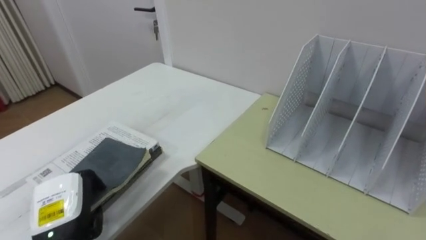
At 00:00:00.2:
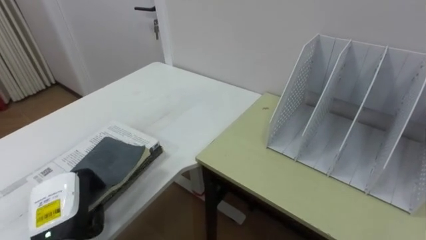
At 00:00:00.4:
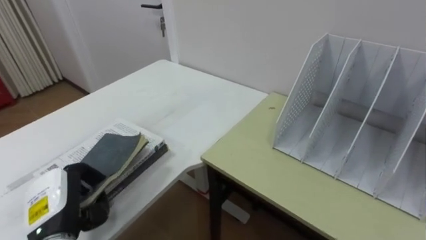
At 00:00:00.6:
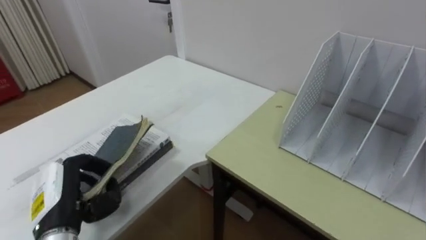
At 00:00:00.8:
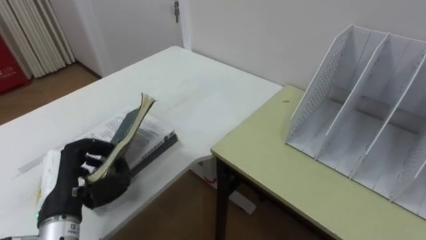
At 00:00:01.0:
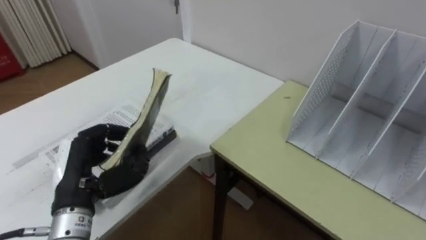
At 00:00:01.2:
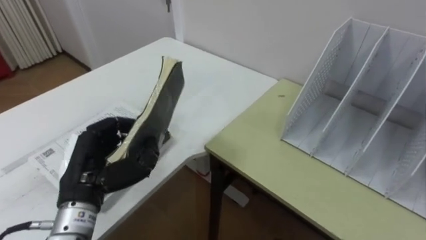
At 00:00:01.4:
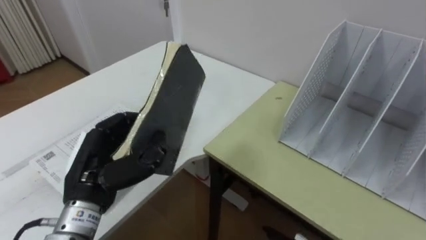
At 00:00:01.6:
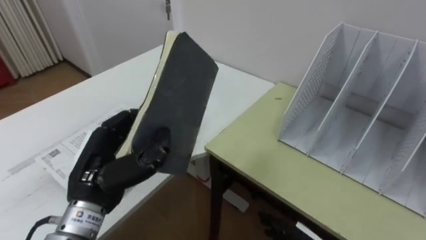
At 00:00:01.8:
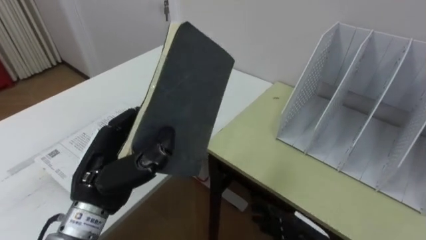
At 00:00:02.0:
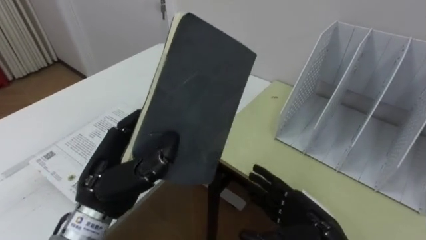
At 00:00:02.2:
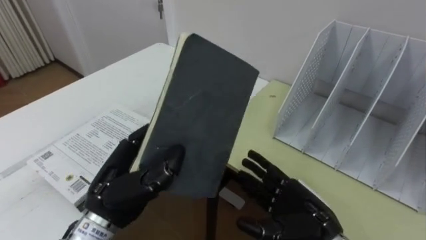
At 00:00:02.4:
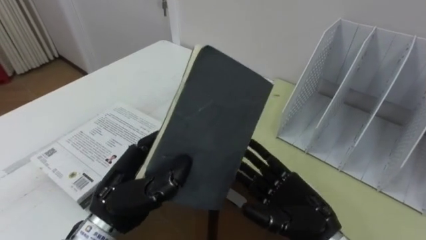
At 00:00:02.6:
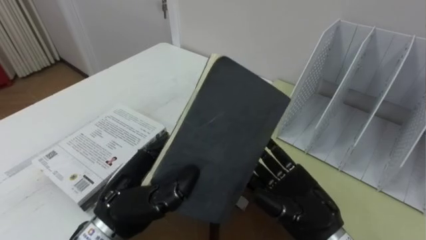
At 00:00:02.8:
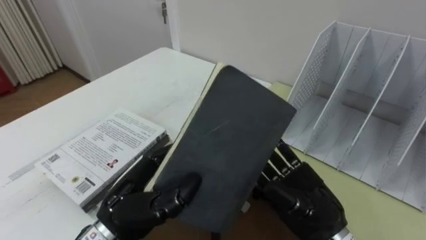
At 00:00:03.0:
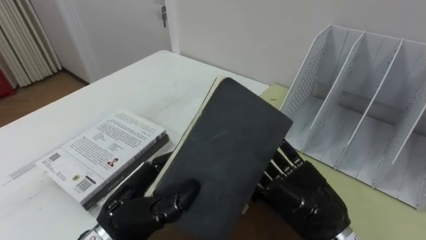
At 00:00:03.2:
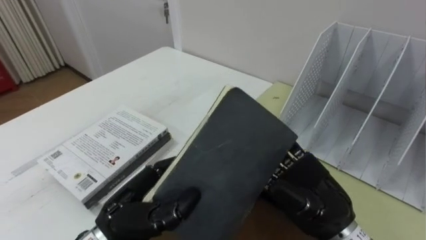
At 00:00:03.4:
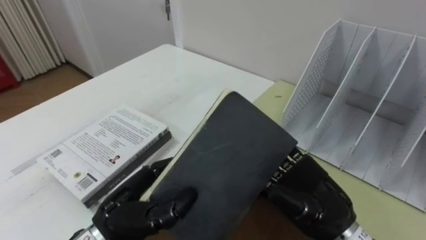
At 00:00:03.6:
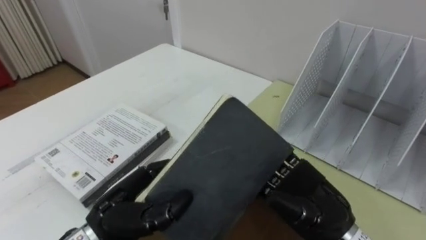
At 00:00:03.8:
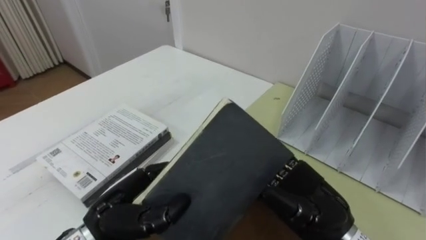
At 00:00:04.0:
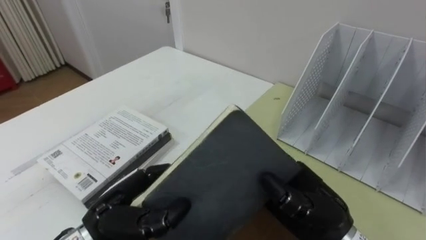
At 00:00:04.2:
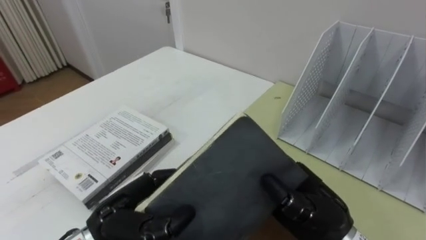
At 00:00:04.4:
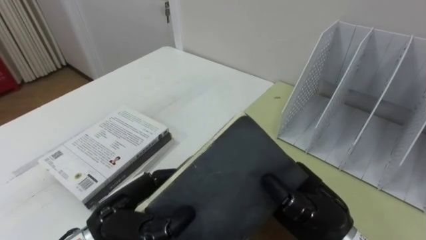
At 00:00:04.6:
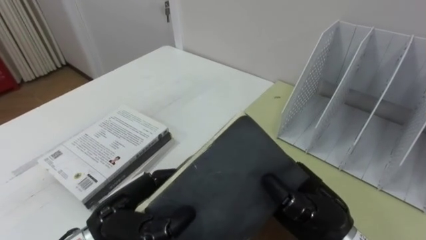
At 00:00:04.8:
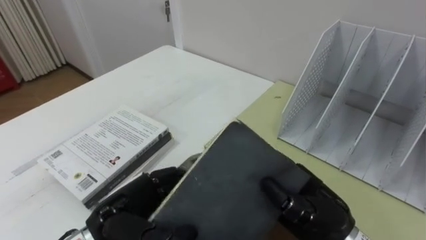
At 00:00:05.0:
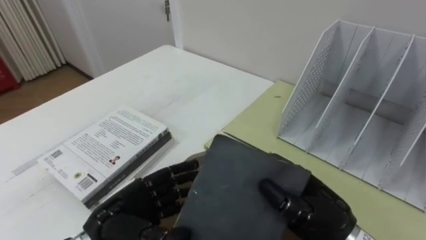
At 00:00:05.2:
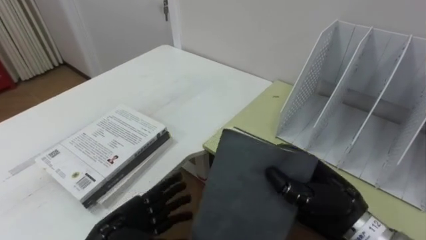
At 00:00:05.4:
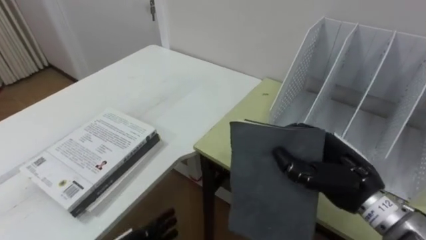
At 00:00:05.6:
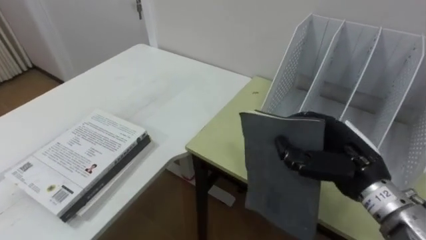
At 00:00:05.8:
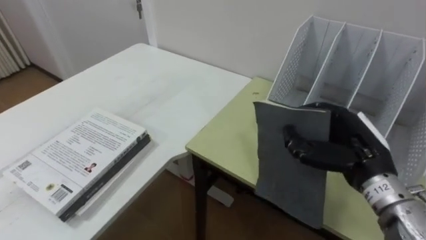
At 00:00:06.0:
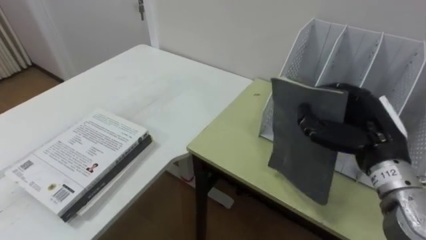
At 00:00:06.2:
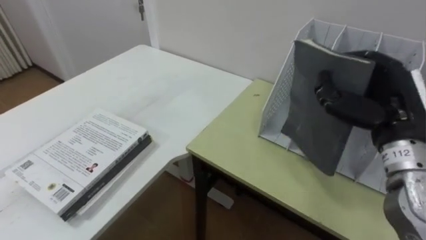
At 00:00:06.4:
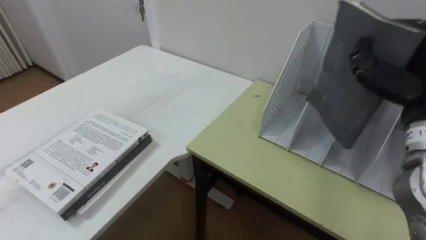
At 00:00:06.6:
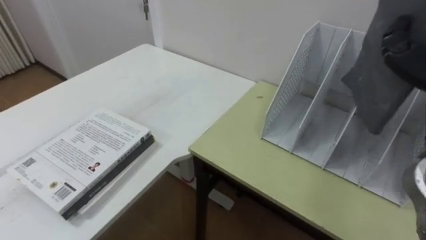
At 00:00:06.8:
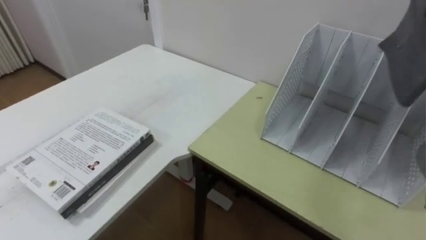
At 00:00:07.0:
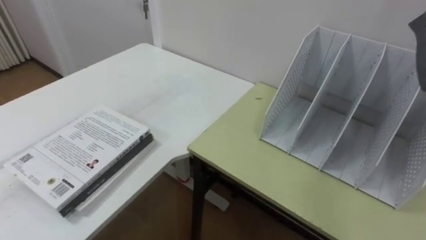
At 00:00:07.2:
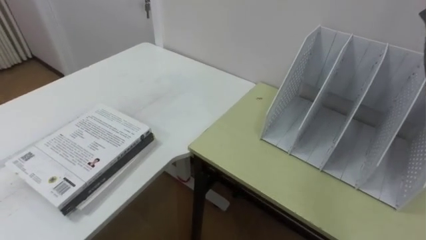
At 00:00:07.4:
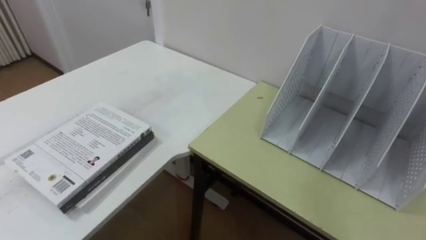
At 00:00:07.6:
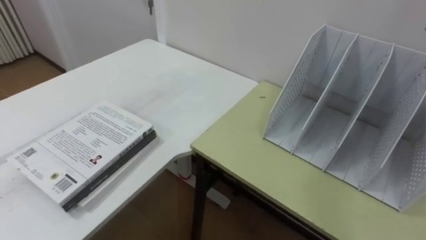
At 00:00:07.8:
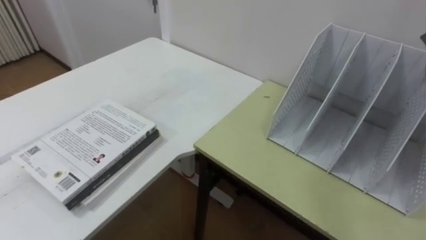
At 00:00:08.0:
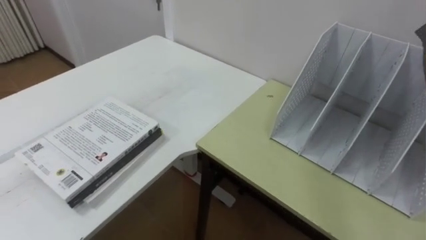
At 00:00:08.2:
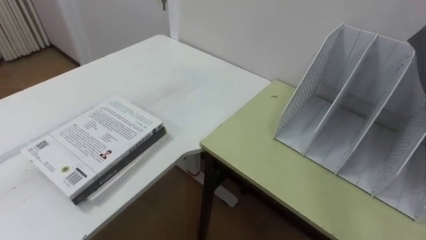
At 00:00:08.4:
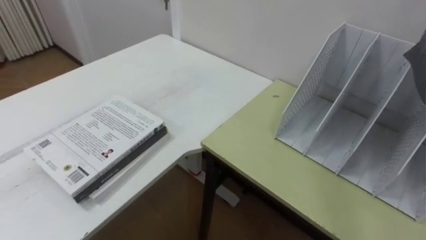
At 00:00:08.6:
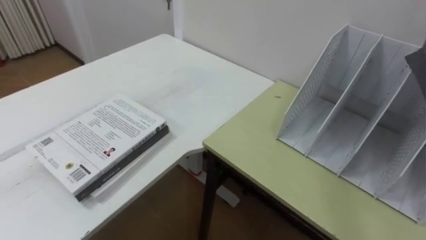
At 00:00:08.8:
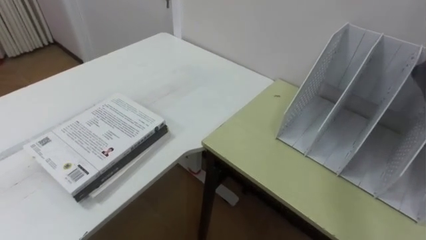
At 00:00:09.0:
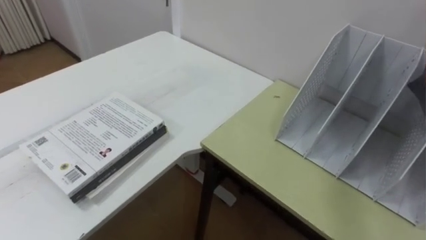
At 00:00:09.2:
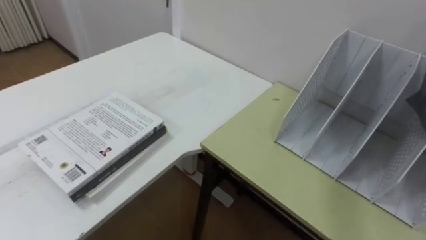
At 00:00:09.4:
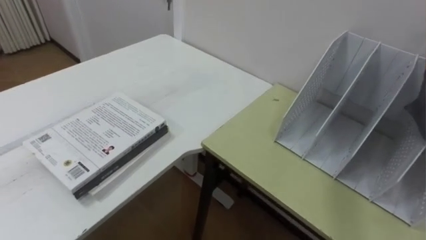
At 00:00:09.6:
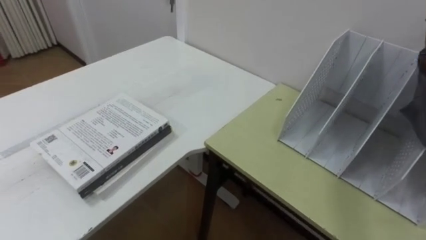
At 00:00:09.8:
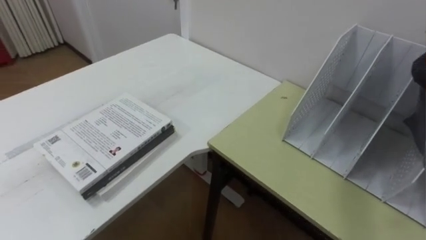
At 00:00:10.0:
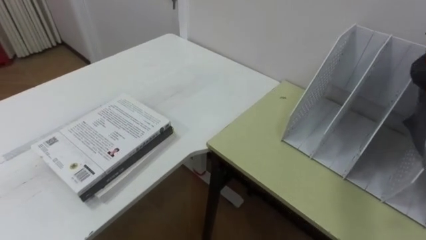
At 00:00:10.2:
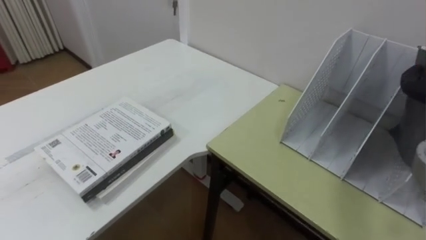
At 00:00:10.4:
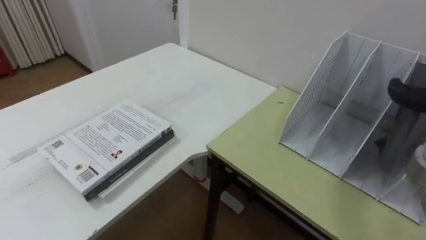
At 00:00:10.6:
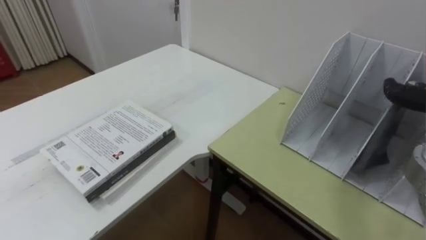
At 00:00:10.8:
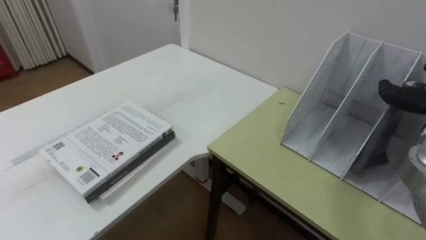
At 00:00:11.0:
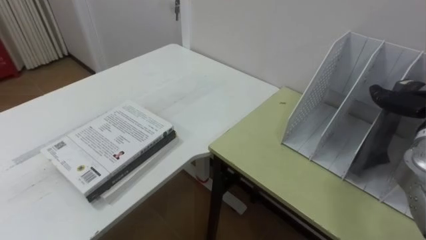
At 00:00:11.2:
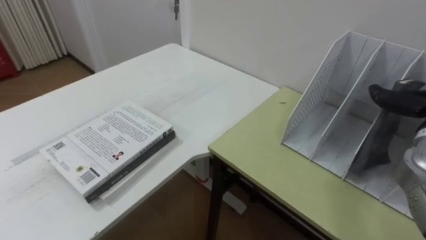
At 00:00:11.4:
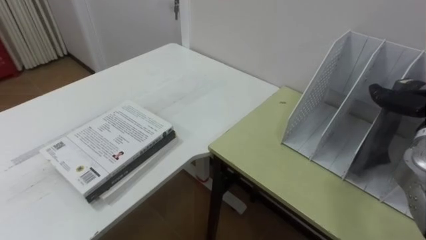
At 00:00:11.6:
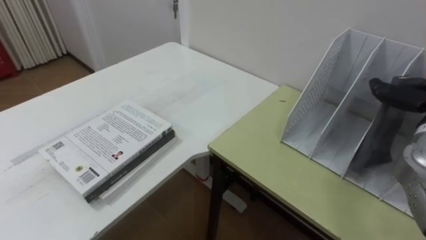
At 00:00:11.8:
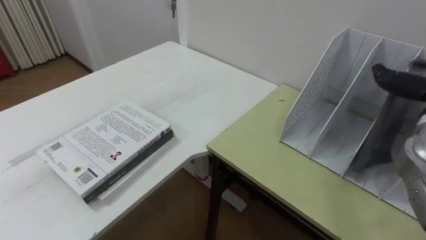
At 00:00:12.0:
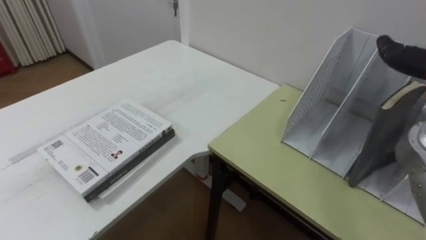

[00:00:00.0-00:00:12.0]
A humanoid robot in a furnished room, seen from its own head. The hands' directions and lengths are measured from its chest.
Task of the whole recording: Put the books on the table onto the bookshelf.
00:00:00.0 to 00:00:01.6: The left hand heads upward and to the right, covering some 10 cm.
00:00:01.6 to 00:00:03.0: The left hand shifts about 5 cm to the right.
00:00:03.0 to 00:00:04.4: The right hand closes.
00:00:04.4 to 00:00:06.0: The right hand shifts roughly 15 cm to the right, forward and upward.
